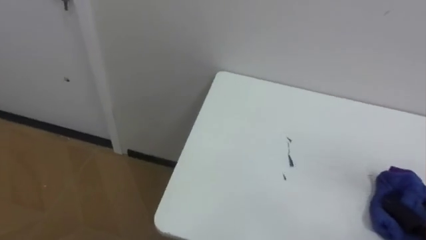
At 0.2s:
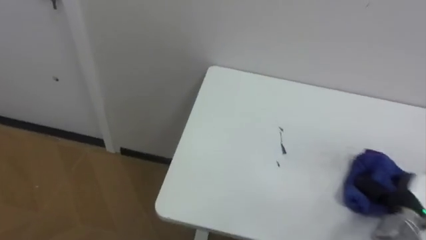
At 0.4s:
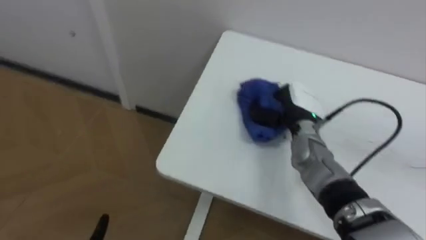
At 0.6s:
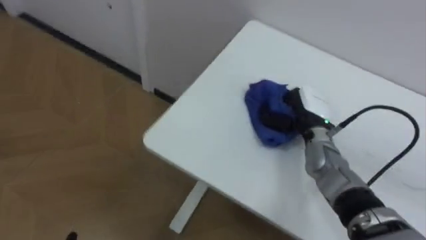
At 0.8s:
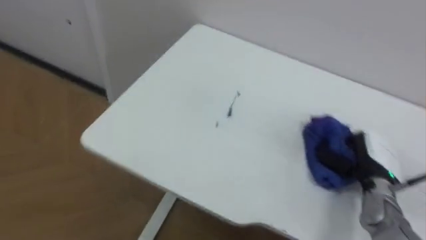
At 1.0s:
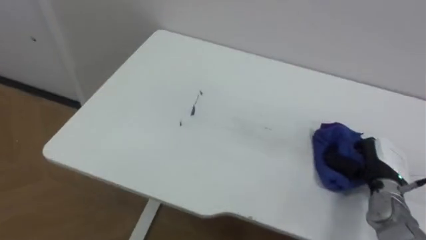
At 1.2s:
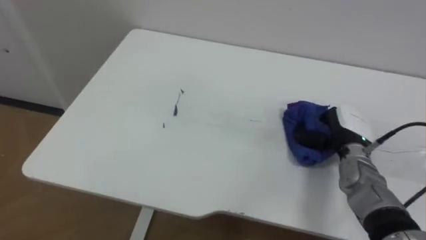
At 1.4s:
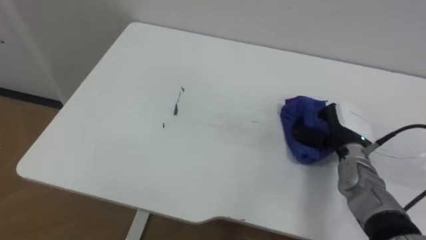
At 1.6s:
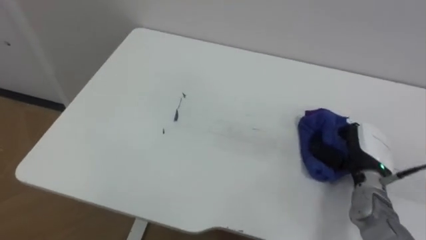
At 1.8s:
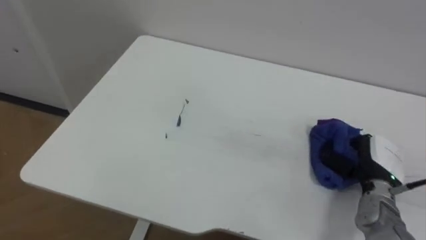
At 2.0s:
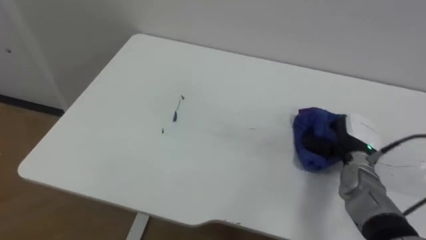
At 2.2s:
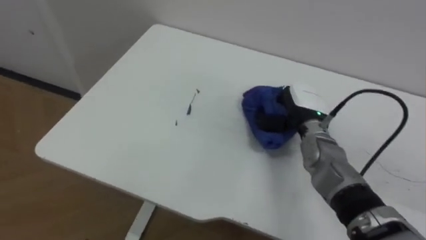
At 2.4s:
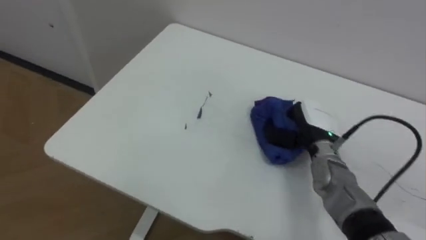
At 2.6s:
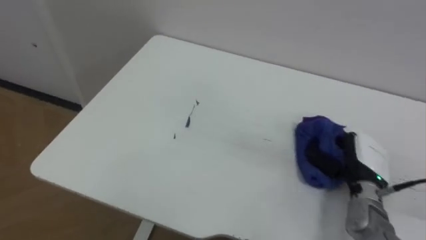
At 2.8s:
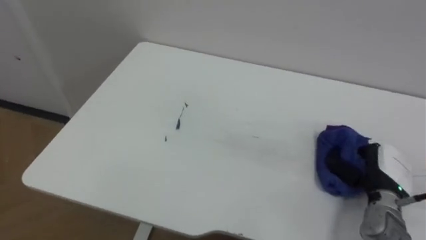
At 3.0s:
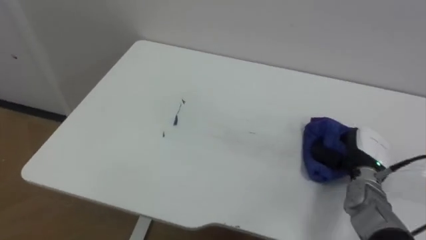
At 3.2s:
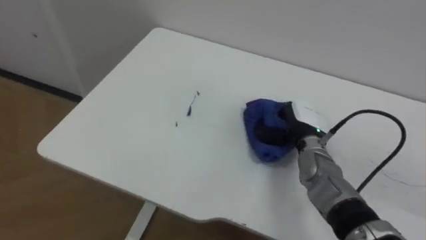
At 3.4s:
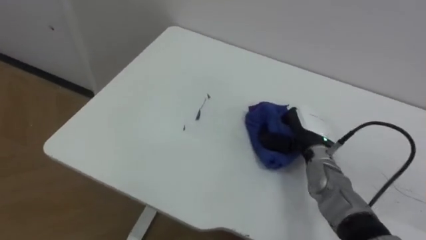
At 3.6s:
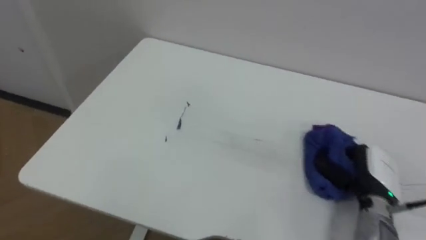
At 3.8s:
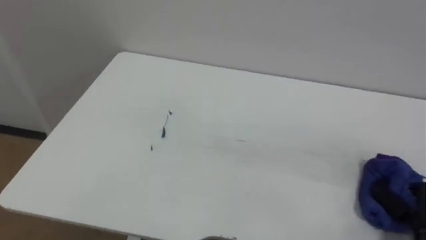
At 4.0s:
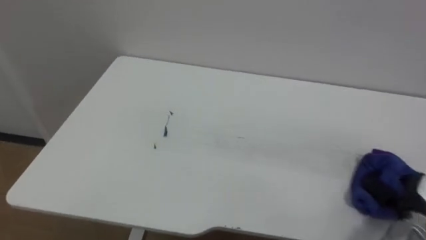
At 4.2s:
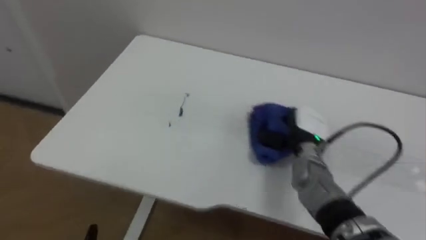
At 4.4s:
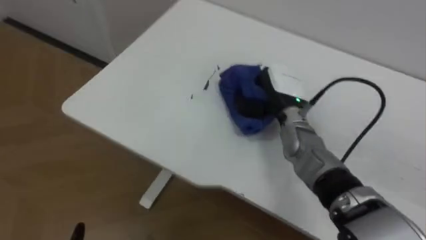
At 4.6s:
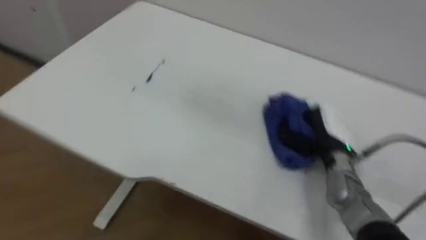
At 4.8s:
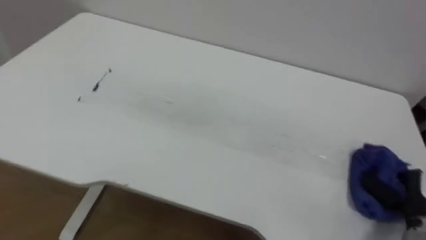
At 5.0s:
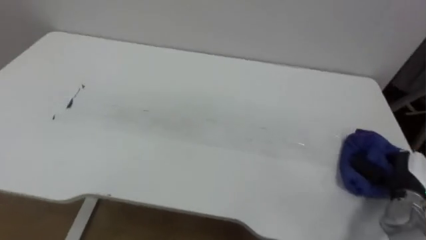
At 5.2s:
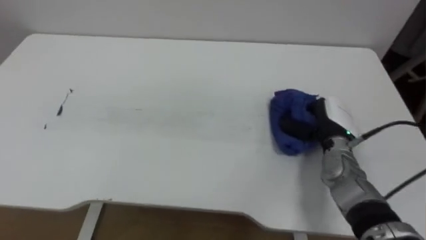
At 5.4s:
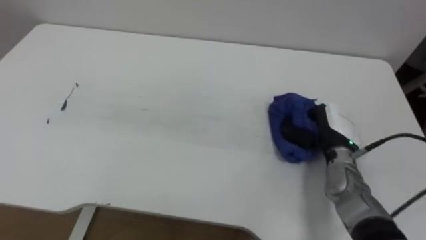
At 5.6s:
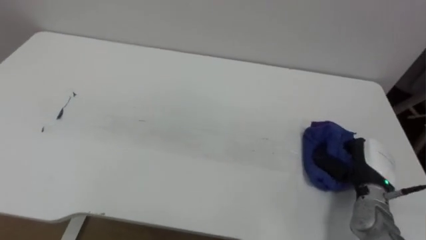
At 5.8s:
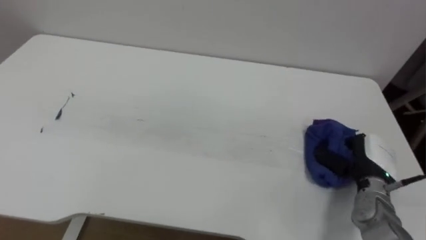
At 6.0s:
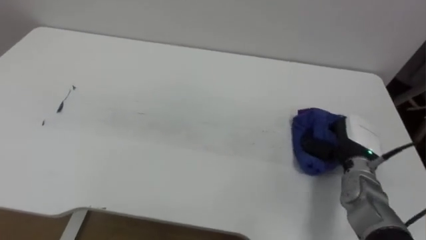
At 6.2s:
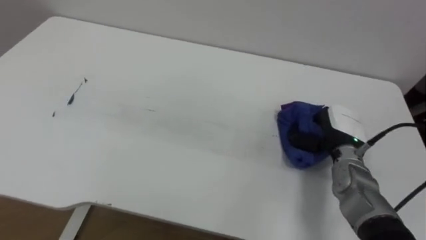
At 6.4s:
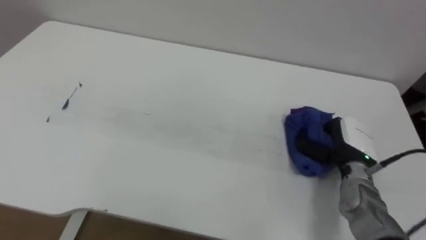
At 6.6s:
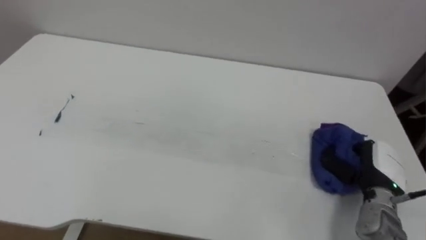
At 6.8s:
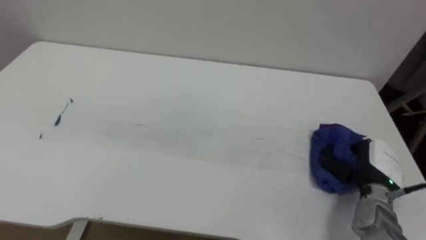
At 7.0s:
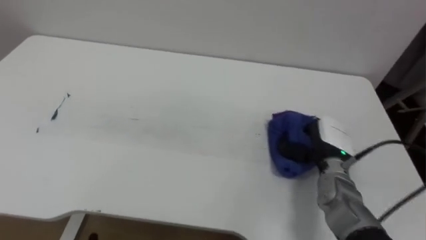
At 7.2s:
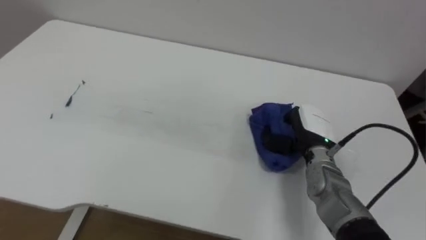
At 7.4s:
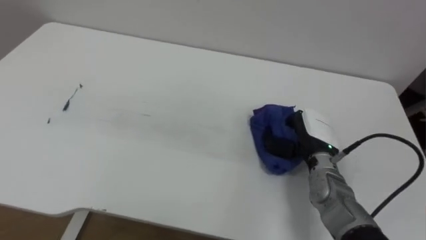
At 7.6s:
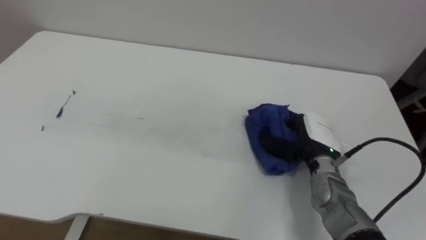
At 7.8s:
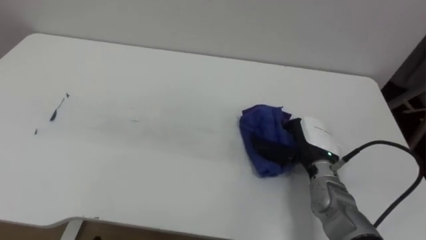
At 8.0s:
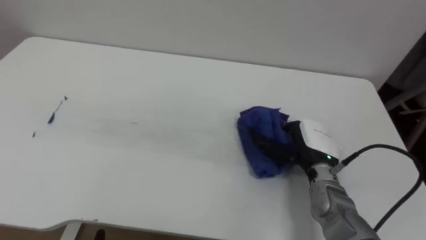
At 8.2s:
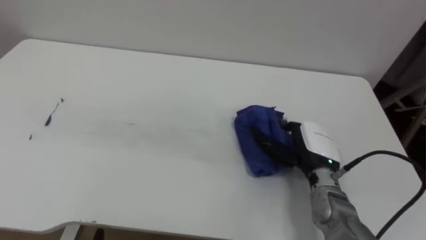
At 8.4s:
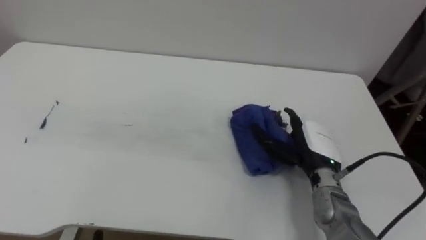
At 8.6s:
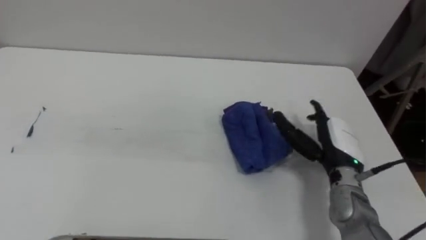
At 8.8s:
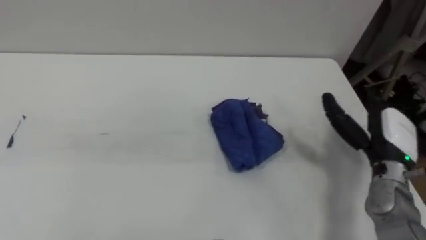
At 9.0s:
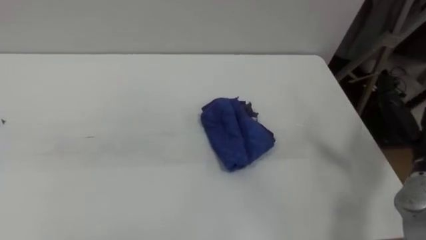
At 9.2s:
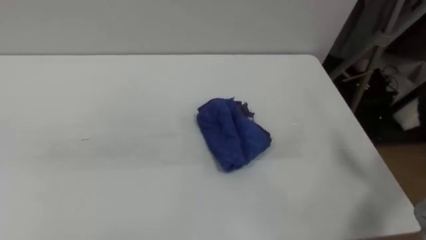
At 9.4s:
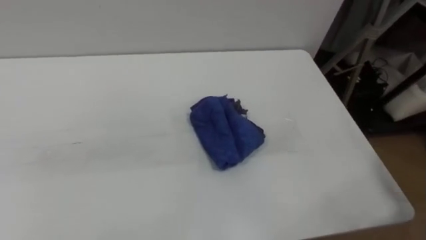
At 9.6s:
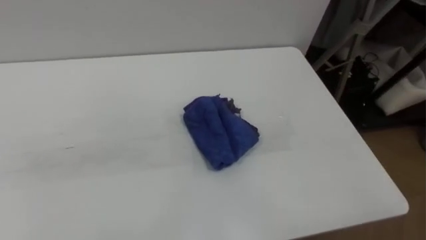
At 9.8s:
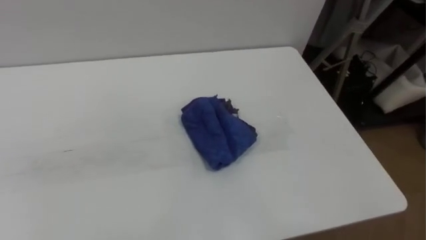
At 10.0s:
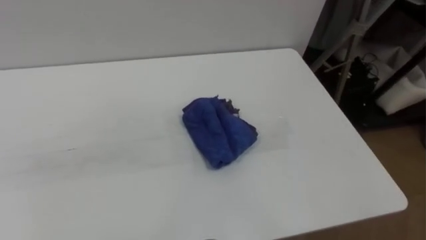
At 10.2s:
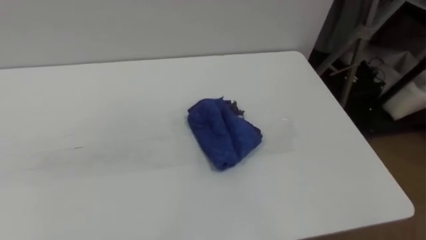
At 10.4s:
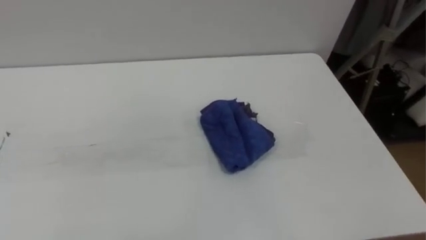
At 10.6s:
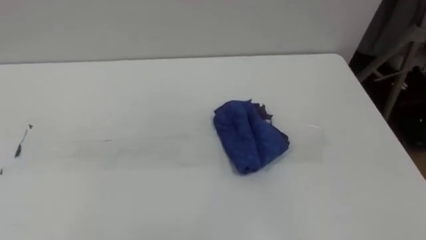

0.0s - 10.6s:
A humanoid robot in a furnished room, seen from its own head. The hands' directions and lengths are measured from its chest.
Task of the whole recording: Wipe the blue pen marks off the table with the rag.
1.6s - 3.0s: The right hand reaches roughly 10 cm to the left, then returns.
3.0s - 4.6s: The right hand moves left and right over some 25 cm, changing direction 3 times.
4.6s - 6.0s: The right hand moves left and right over roughly 15 cm, changing direction 2 times.
6.0s - 7.6s: The right hand goes about 10 cm to the left.

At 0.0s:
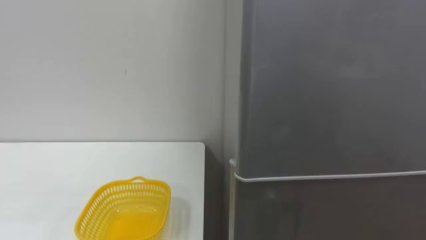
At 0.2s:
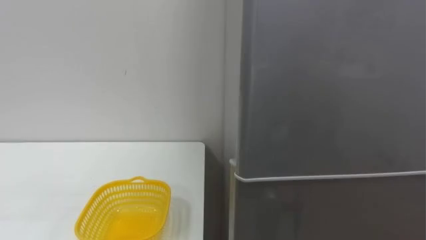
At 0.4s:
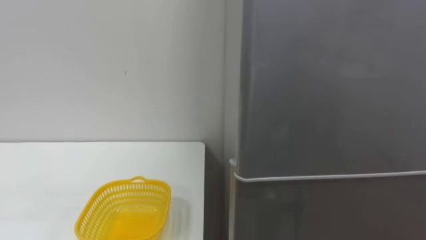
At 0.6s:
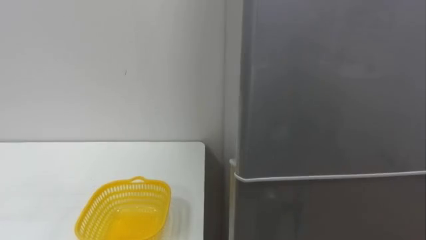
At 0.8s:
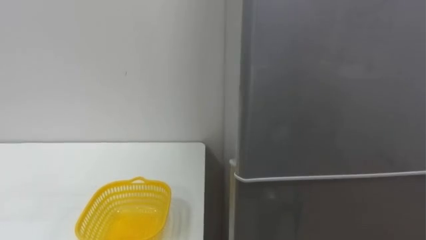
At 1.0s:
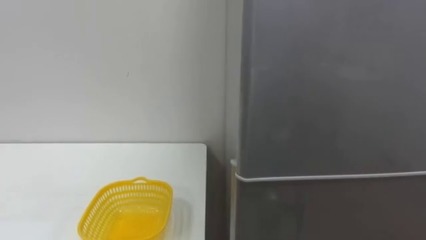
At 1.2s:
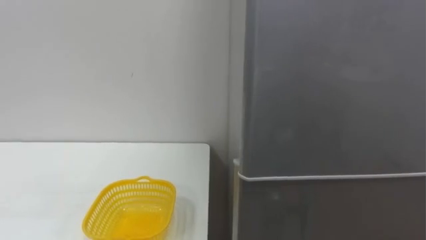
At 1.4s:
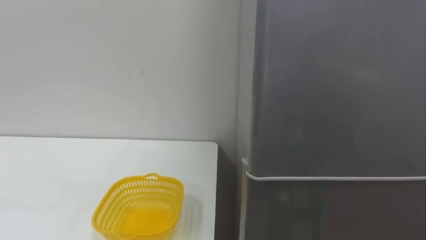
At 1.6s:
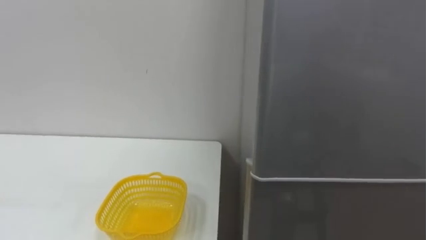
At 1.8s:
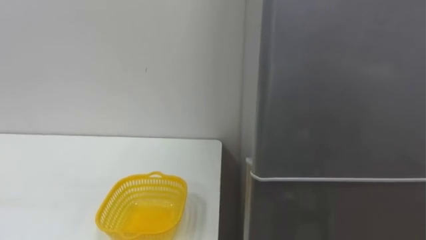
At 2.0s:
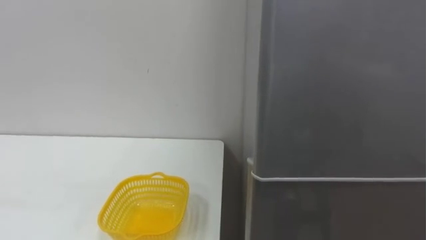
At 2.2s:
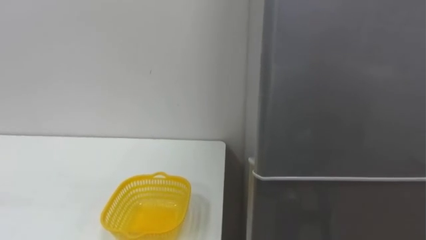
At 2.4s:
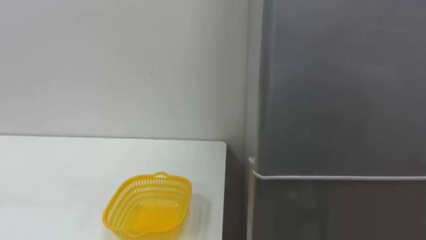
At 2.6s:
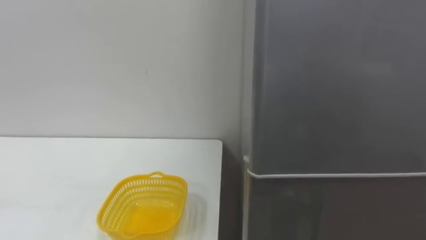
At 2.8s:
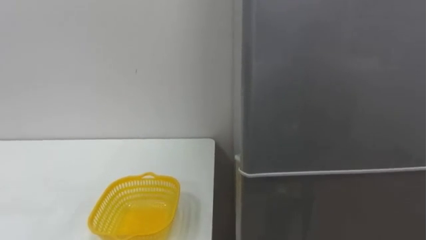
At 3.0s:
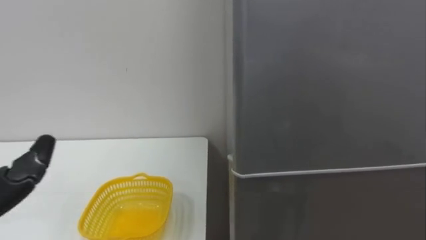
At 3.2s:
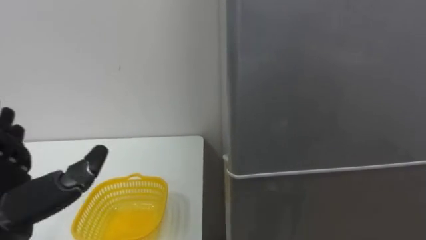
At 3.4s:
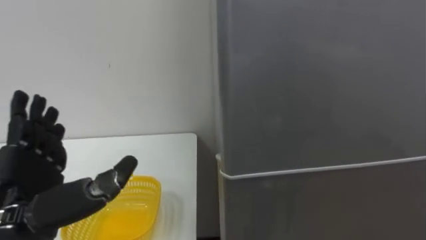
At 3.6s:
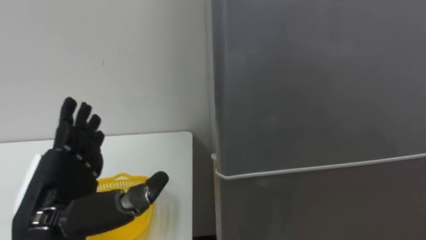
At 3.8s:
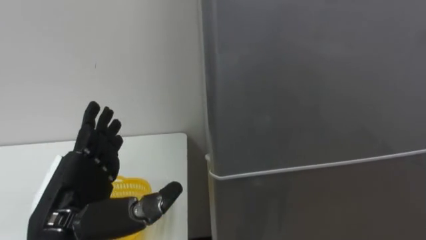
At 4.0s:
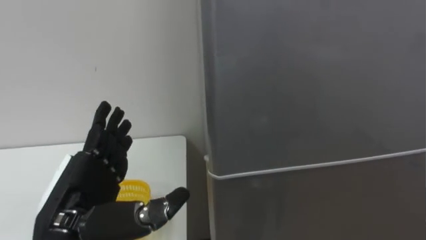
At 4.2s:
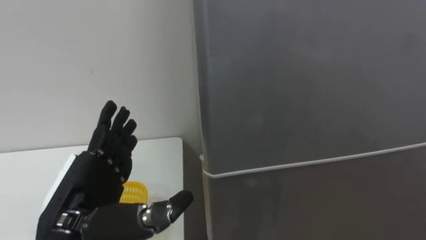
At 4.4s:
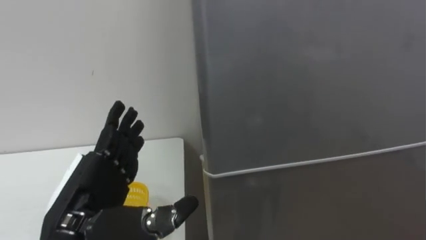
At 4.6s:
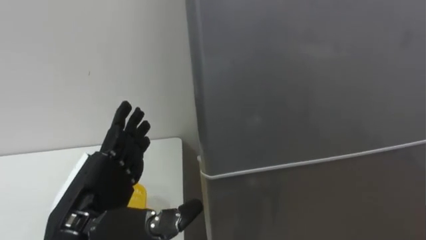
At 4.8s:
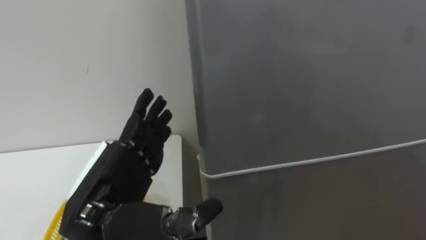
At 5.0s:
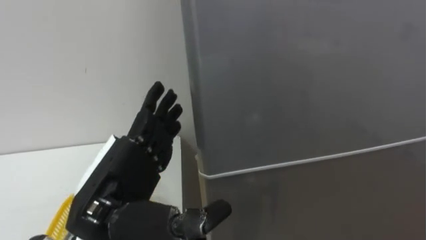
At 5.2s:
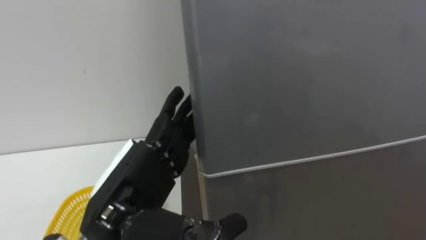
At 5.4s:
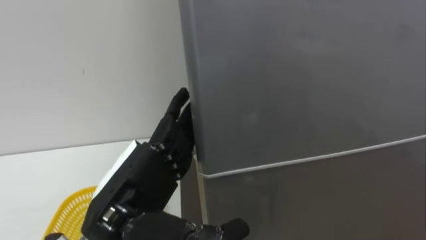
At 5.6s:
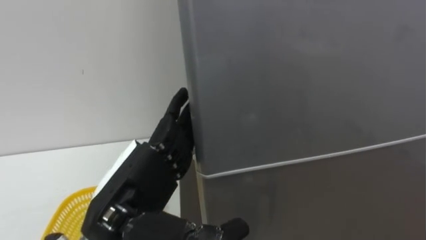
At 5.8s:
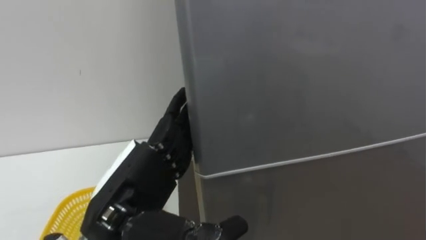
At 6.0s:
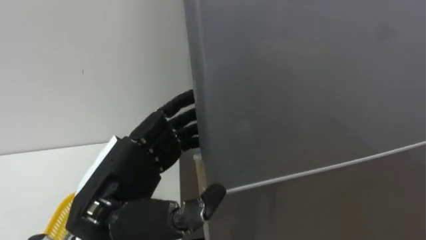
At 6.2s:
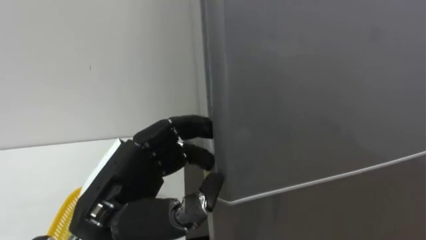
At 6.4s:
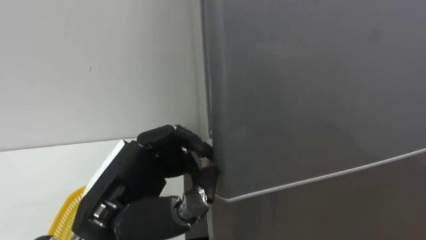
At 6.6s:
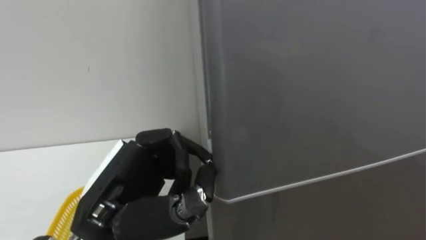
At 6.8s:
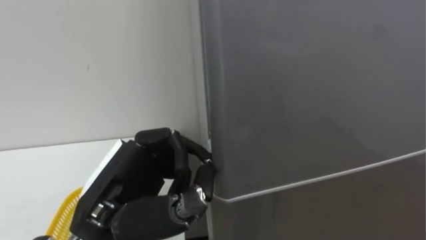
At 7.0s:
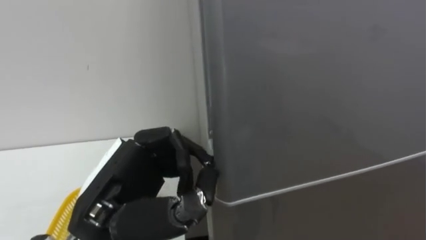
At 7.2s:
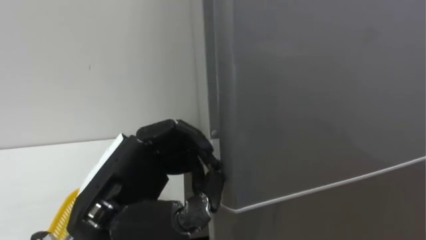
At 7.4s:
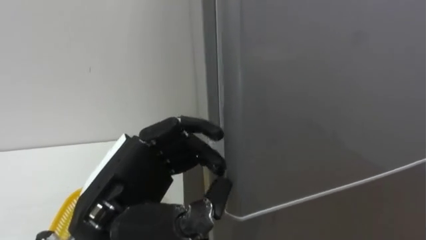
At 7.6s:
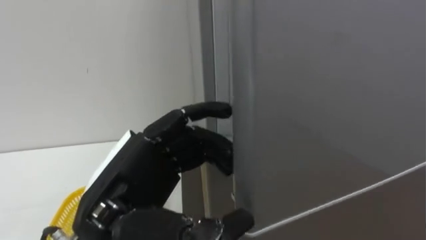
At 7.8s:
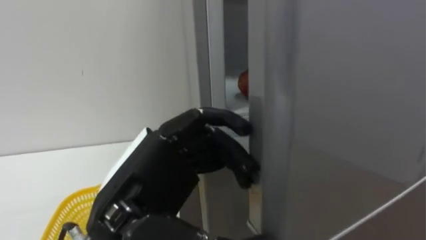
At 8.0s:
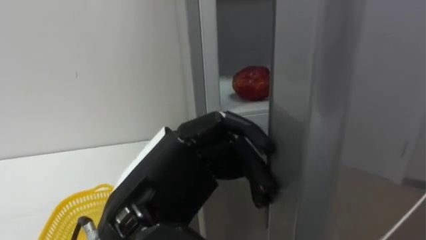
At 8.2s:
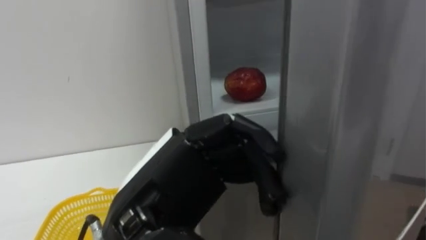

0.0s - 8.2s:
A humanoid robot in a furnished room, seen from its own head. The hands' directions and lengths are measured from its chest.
Task of the whole recording: Open the refrigerator door, take out the apple and the pomegranate, place them in the fruit basket on the left, and close the refrigerator door.
5.0s - 6.6s: The left hand closes its fingers.
6.6s - 8.2s: The left hand is displaced to the right by some 5 cm, and opens up.
